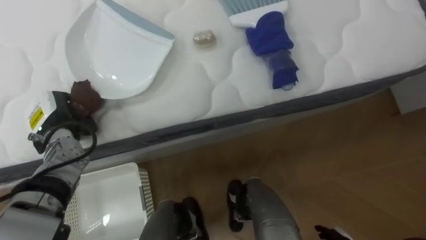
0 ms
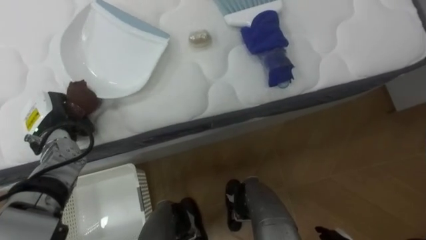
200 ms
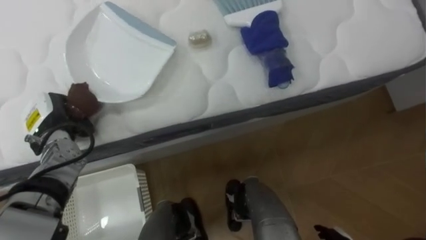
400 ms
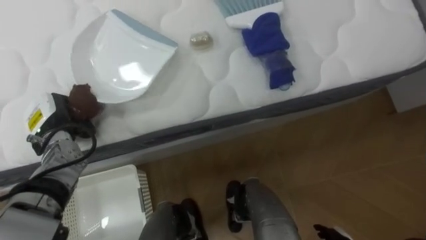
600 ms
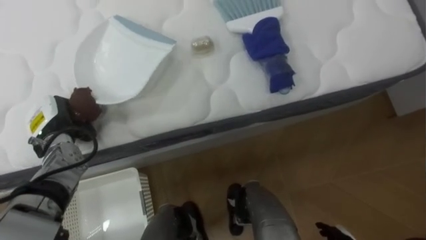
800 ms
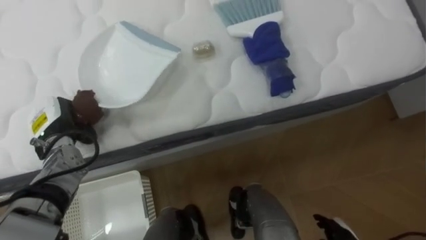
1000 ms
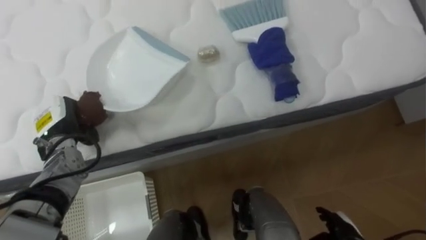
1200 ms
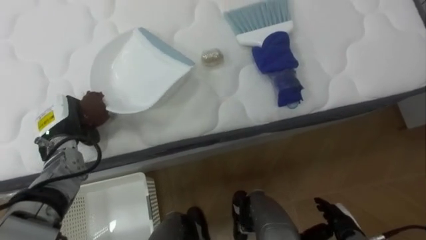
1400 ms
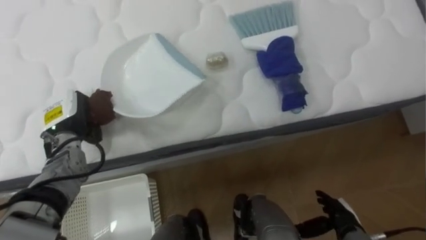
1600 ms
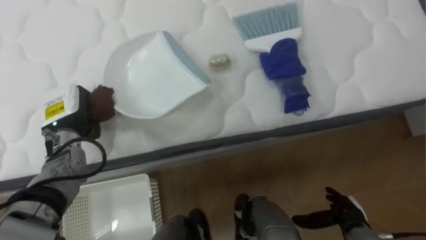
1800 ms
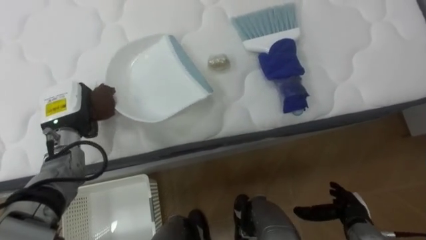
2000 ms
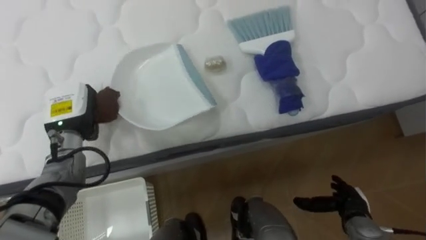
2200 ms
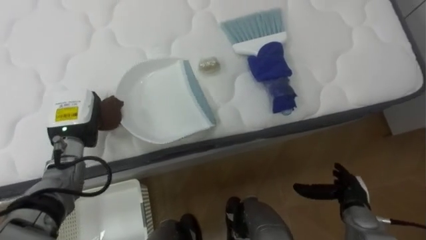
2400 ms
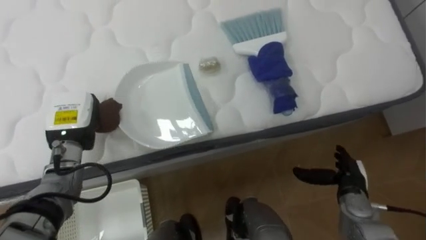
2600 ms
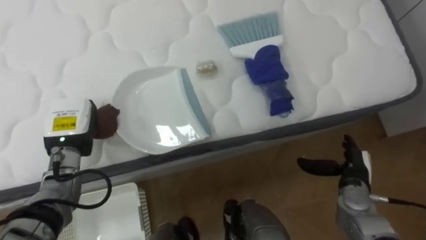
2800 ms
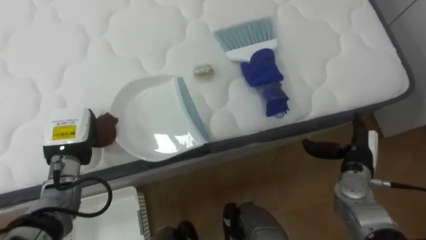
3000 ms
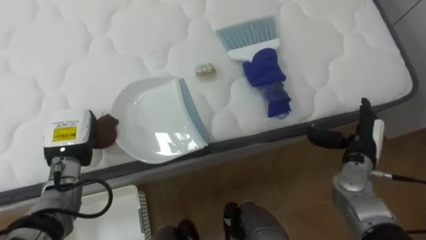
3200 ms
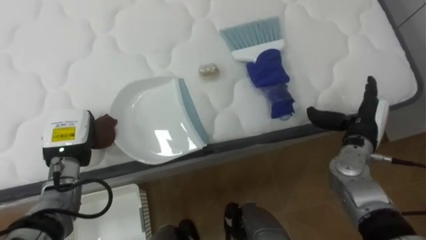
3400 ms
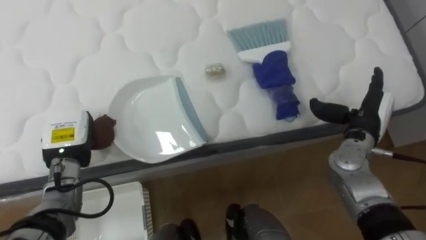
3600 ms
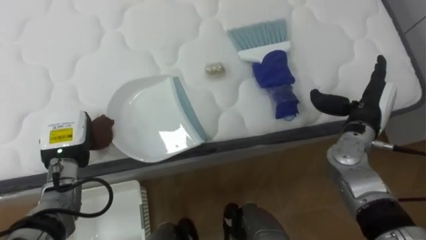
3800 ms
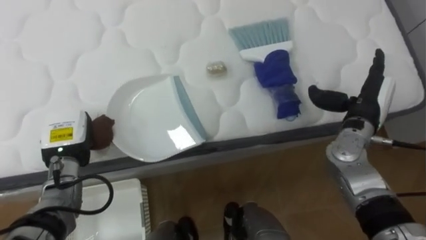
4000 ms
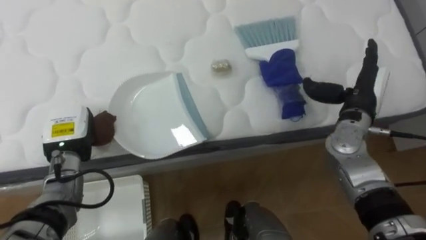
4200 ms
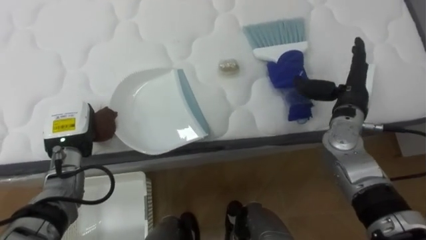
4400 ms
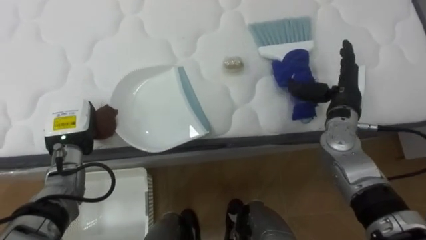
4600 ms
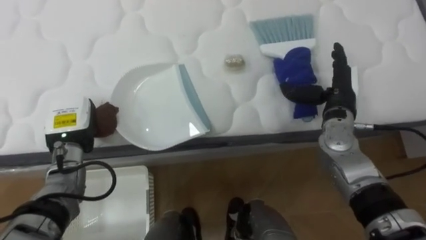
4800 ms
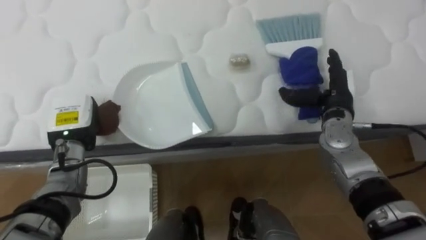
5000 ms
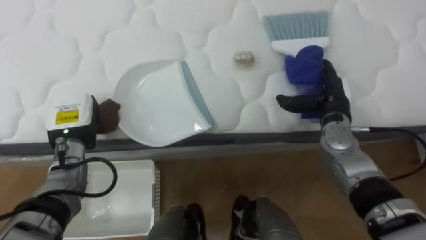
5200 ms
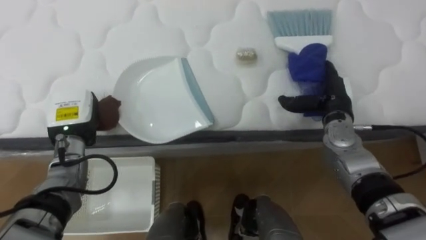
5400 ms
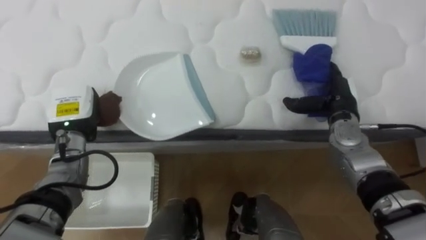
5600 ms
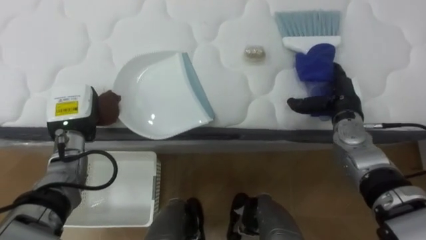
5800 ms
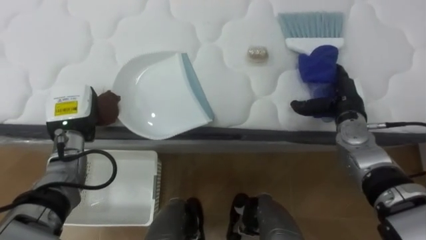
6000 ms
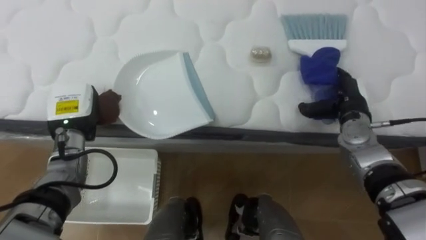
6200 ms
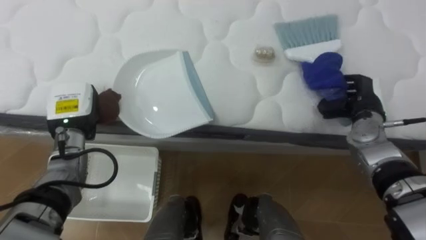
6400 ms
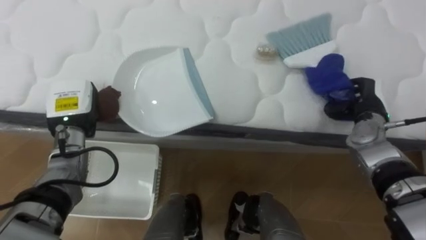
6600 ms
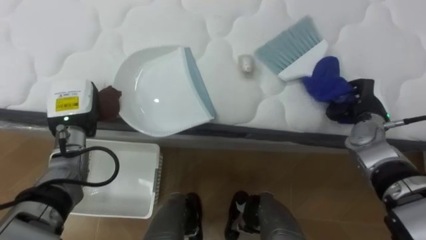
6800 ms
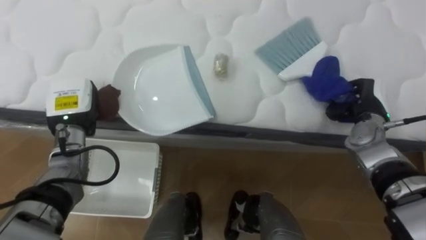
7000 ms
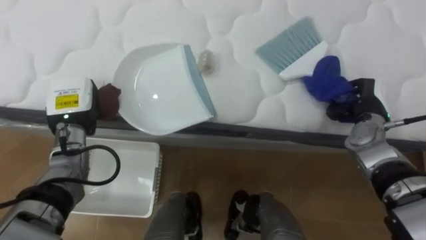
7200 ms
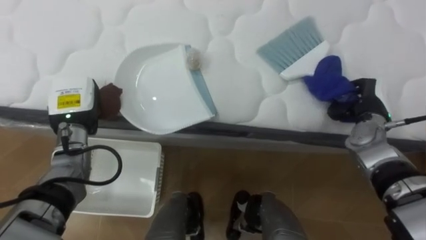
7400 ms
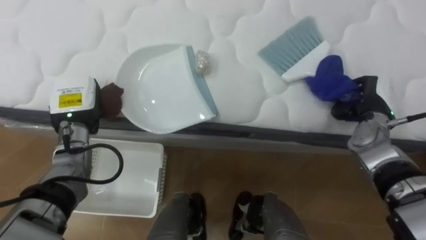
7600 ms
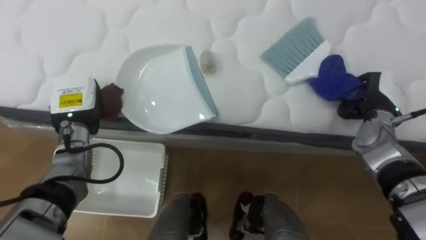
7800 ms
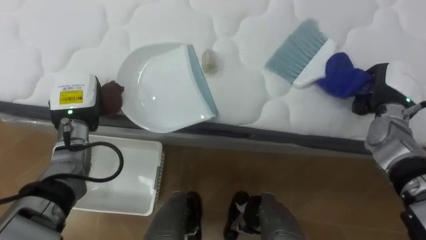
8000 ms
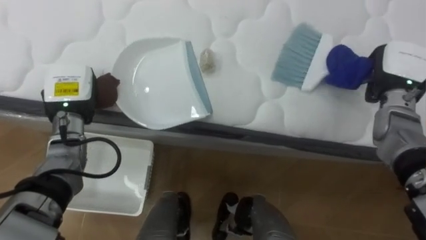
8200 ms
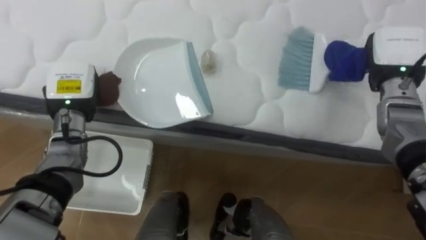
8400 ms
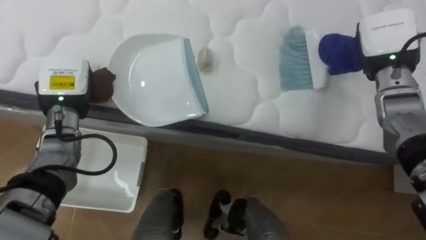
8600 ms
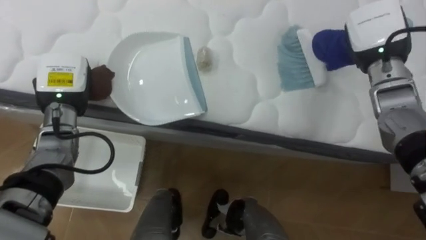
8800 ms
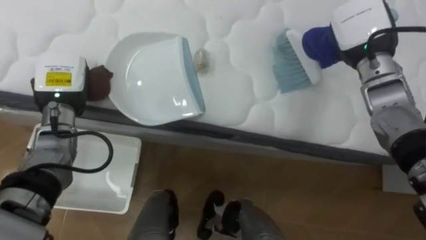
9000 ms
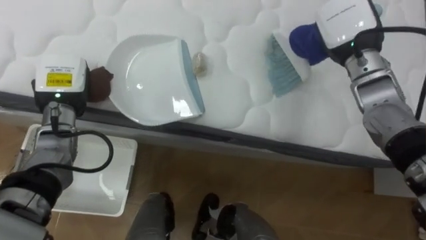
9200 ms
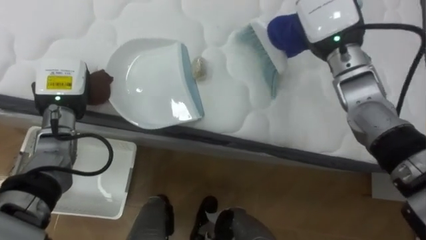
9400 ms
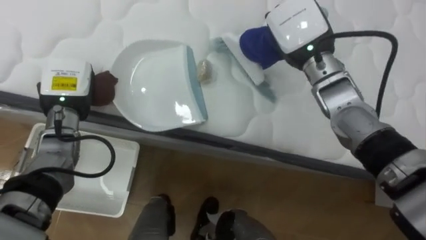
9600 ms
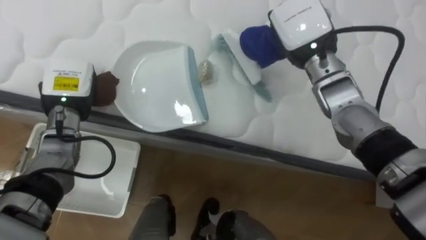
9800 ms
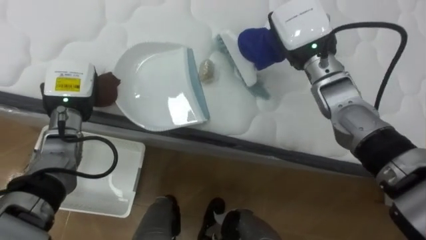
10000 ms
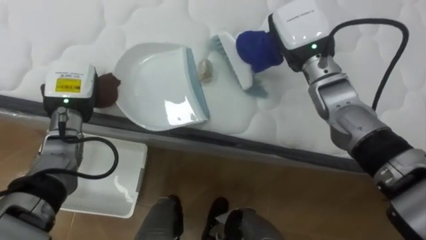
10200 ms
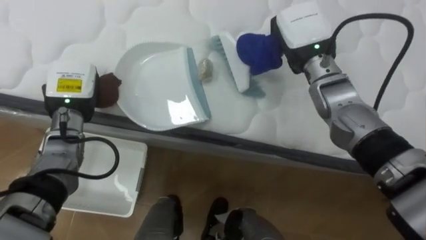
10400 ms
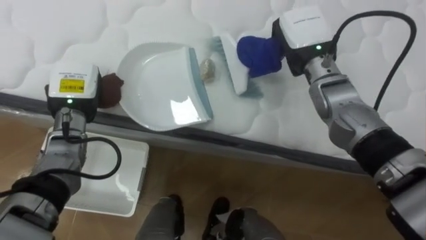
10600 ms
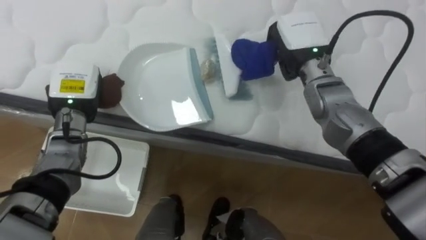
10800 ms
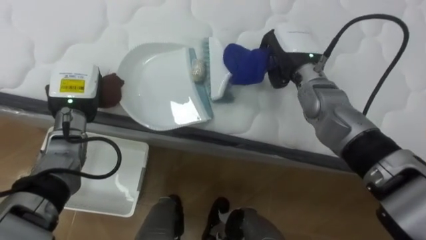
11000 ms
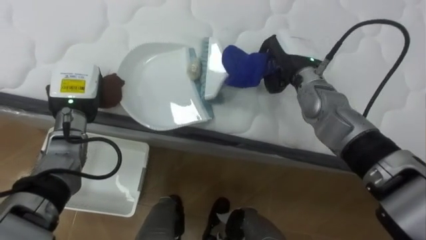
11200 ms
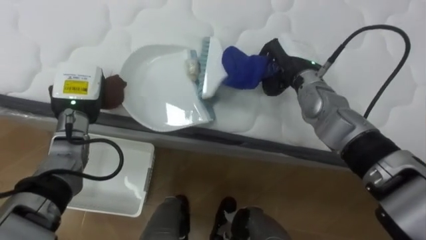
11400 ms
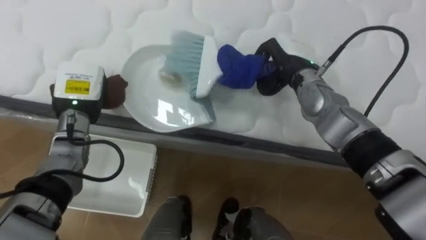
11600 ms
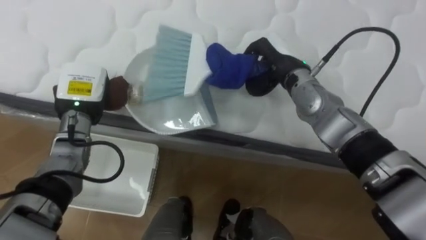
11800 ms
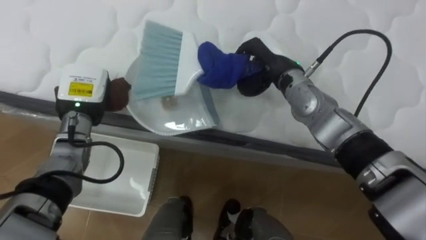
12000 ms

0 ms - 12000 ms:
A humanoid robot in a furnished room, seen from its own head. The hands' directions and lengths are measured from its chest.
Task of the whole recording: Pick up the brush on your right and the dustpan on your left. Use the brush to sweep the crumpled paper on the bed into the dustpan, then turn left and empty it into the basket.
1600 ms - 3000 ms: The right hand moves upward and forward, roughly 15 cm.
3000 ms - 4400 ms: The right hand heads upward and forward, covering roughly 15 cm.
4400 ms - 6000 ms: The right hand shifts some 5 cm downward.
6000 ms - 7600 ms: The right hand shifts by roughly 5 cm, and closes up.
7600 ms - 9000 ms: The right hand goes approximately 15 cm upward and to the left.
9000 ms - 10400 ms: The right hand is displaced to the left by some 10 cm.
10400 ms - 12000 ms: The right hand shifts by approximately 5 cm.

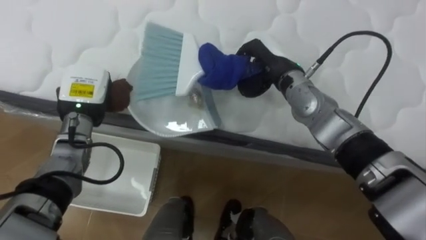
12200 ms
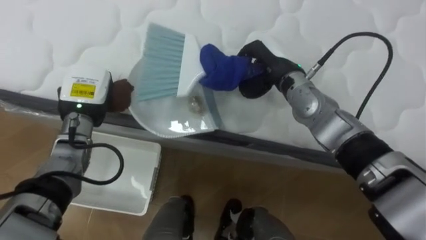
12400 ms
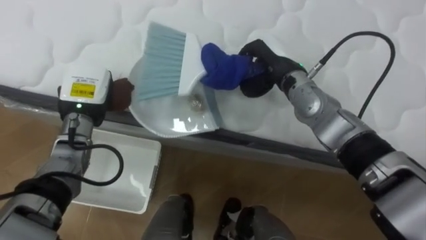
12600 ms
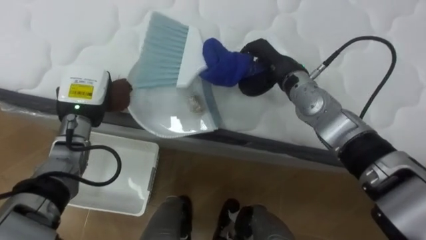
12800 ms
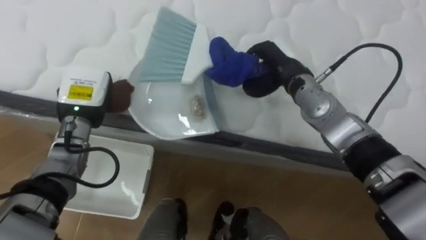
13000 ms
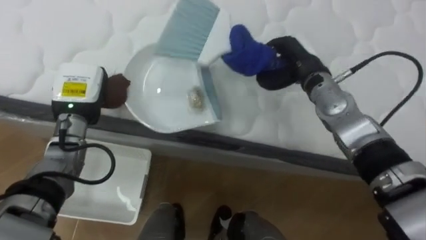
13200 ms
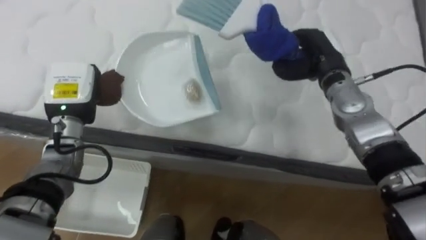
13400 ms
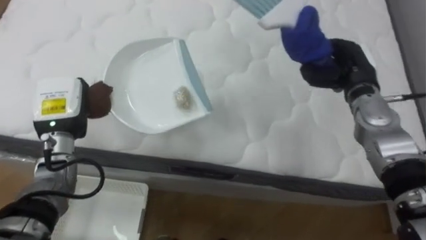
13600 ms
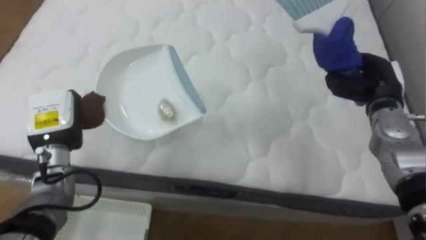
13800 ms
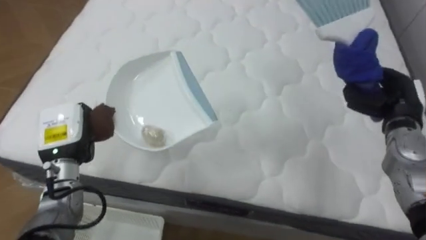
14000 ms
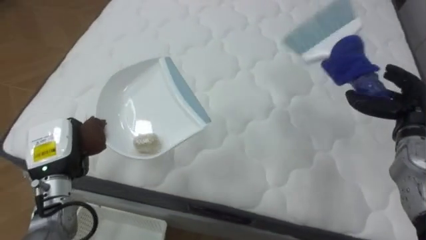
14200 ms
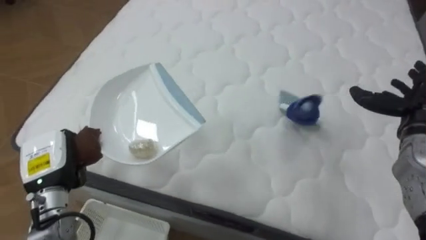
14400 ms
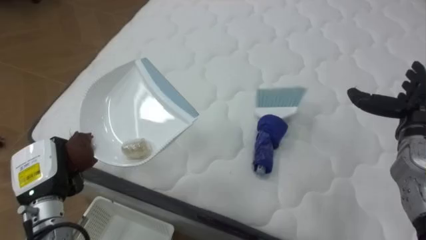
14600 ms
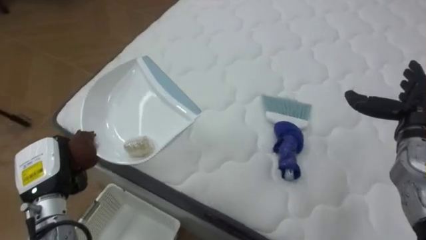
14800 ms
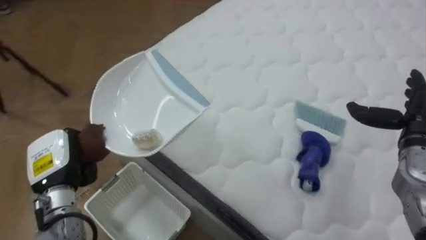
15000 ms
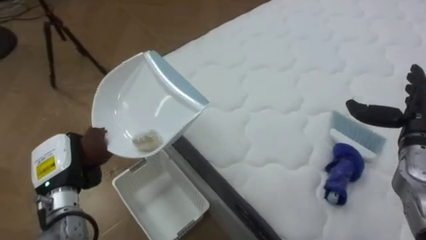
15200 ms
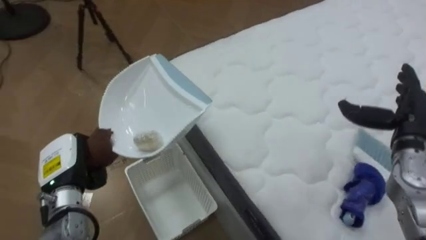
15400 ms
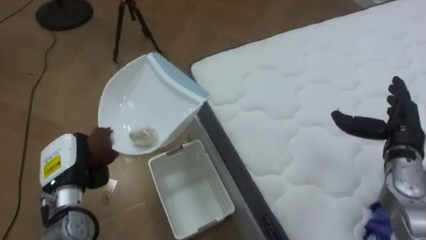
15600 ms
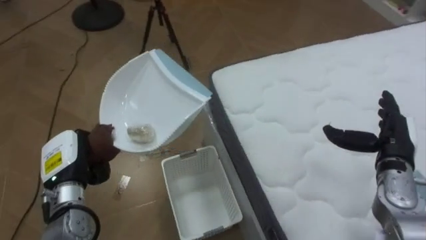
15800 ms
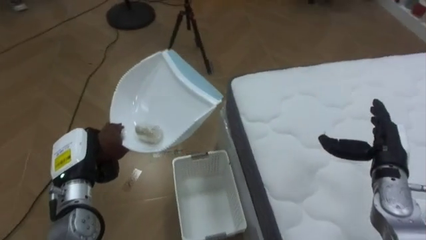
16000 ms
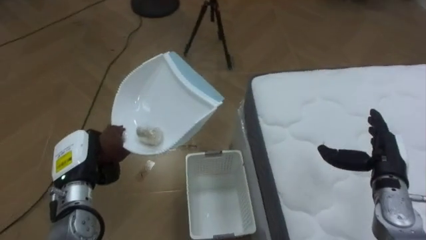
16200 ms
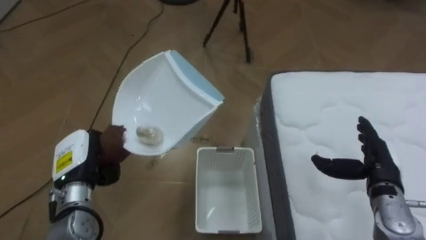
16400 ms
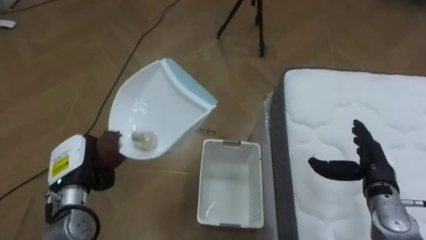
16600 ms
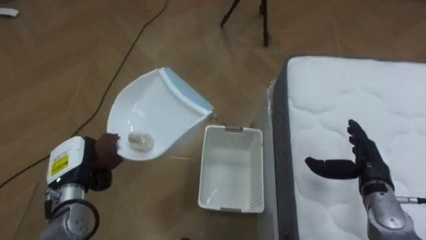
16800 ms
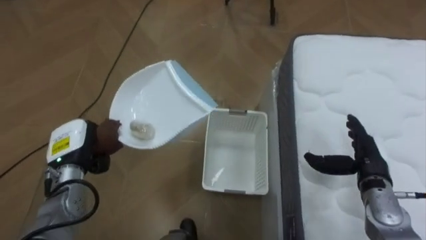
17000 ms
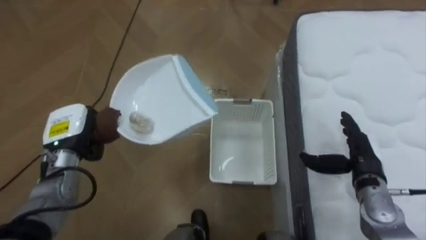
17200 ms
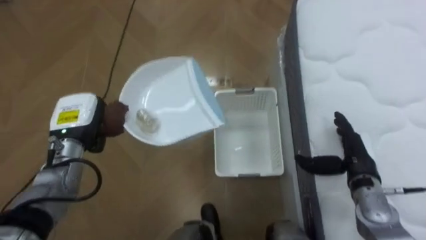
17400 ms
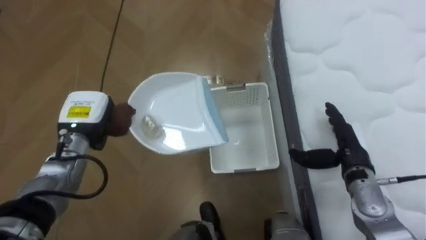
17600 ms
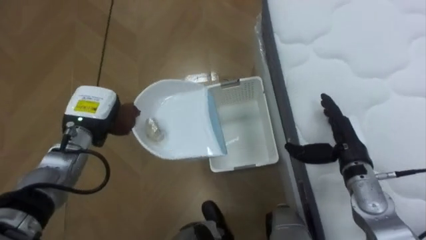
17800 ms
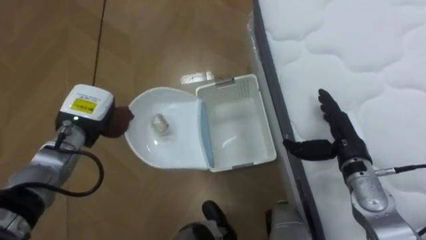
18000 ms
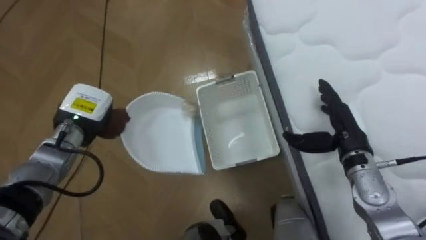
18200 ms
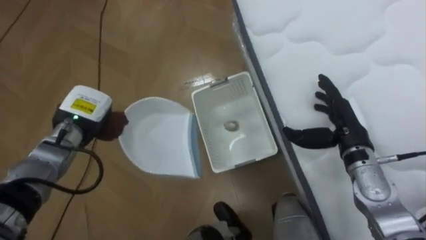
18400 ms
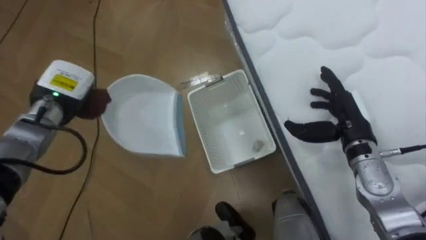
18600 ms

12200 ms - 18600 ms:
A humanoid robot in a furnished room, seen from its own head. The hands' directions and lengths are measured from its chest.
Task of the whole recording: Pick up the brush on your right and the dustpan on your left. Use the brush to sweep the crumpled paper on the bed into the dustpan, then turn left and empty it into the basket.
12200 ms - 13800 ms: The left hand goes about 5 cm to the left; the right hand shifts roughly 20 cm to the right.
13800 ms - 15400 ms: The robot faces about 55 degrees further to its left. The right hand travels backward by approximately 5 cm, and opens. Meanwhile the left hand moves backward and downward, about 10 cm.
15400 ms - 17000 ms: The robot's body swings approximately 40 degrees to its left. The right hand goes some 10 cm downward.
17000 ms - 18600 ms: Both hands move upward and forward, about 10 cm.
